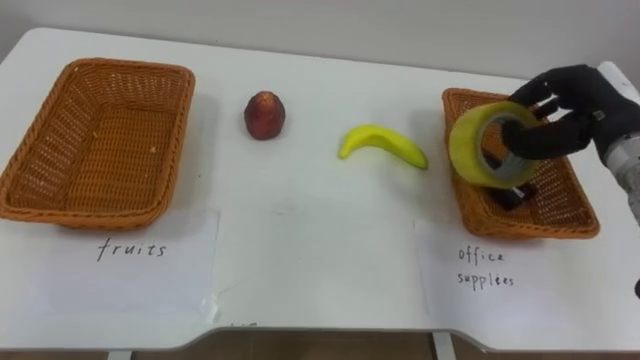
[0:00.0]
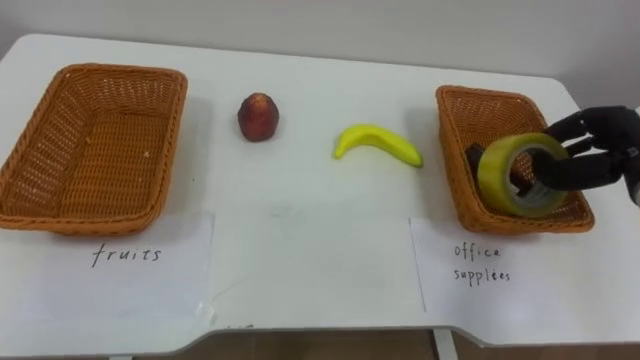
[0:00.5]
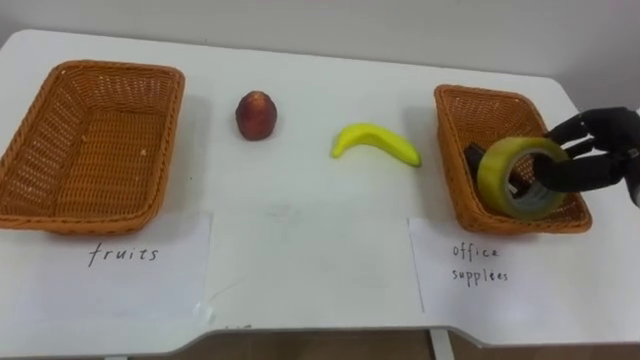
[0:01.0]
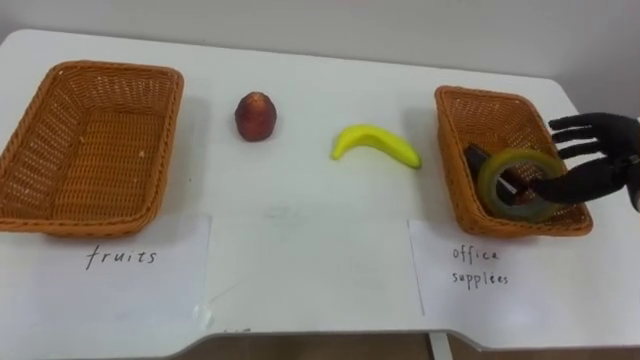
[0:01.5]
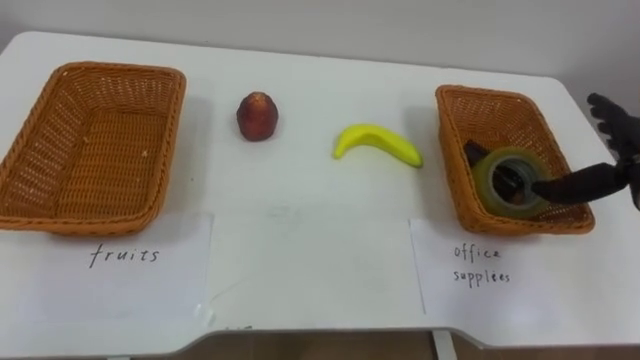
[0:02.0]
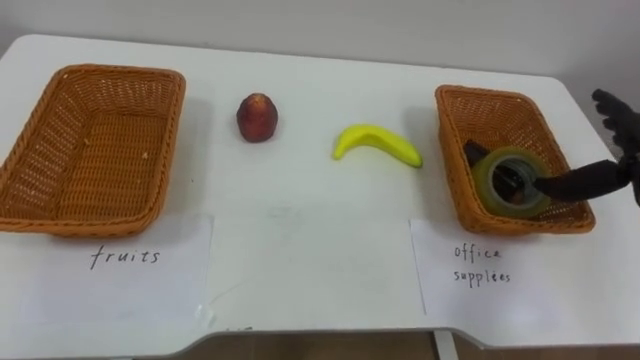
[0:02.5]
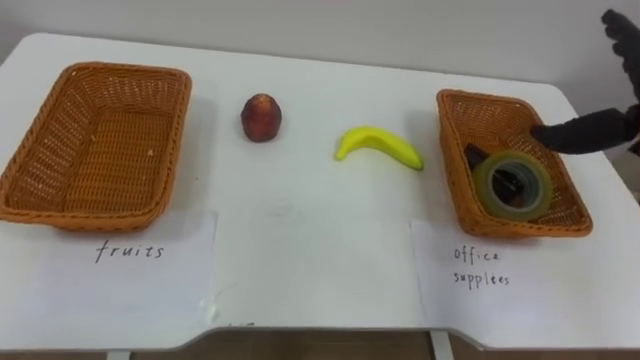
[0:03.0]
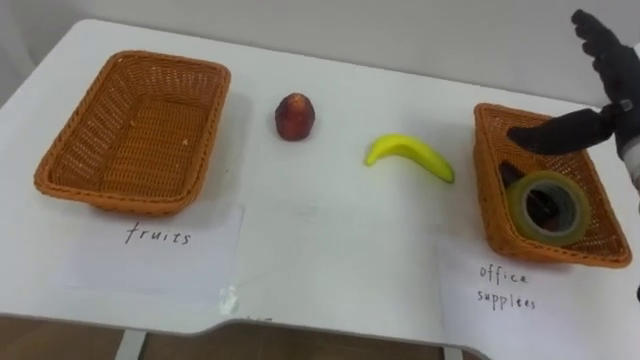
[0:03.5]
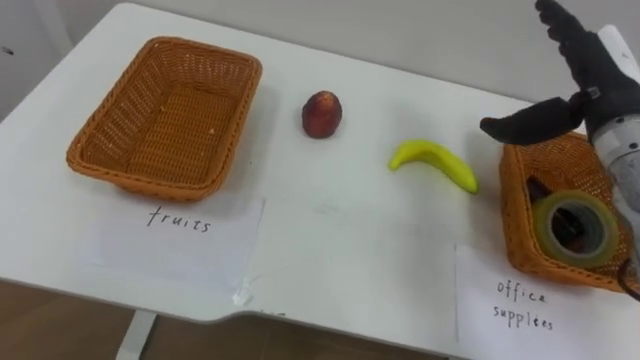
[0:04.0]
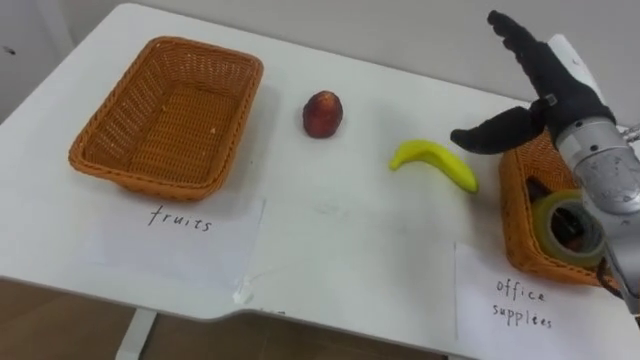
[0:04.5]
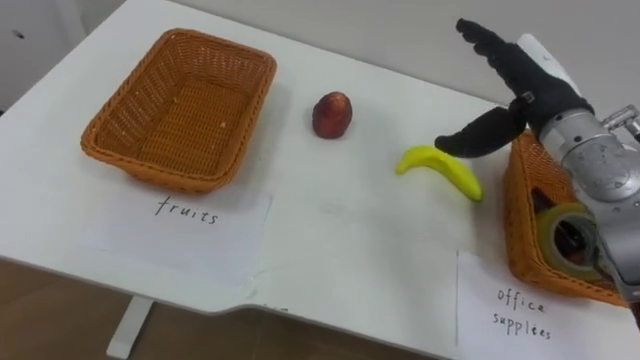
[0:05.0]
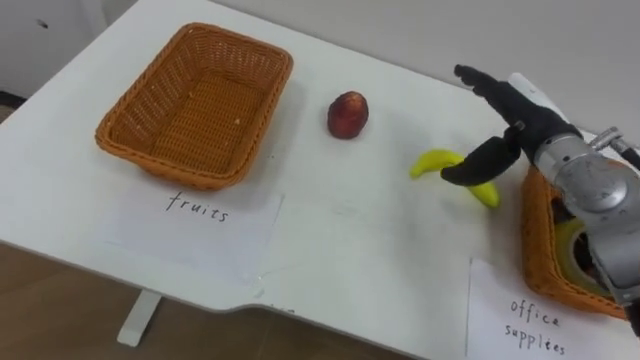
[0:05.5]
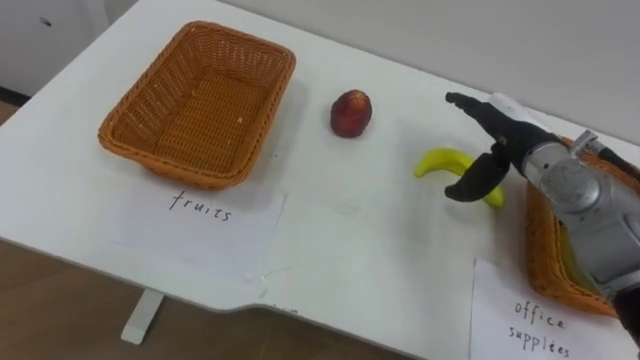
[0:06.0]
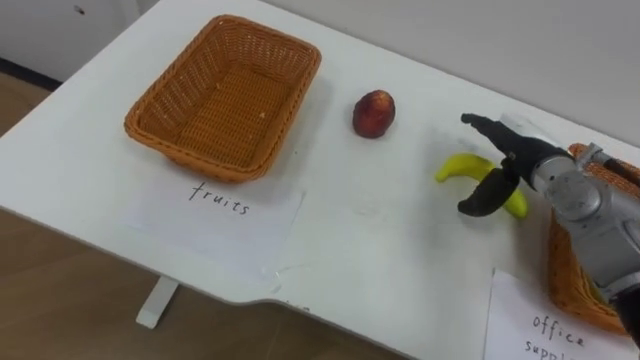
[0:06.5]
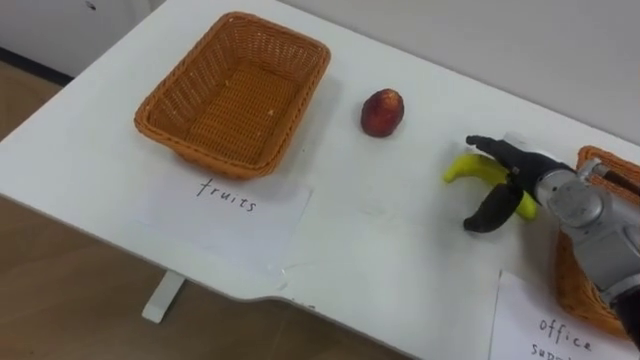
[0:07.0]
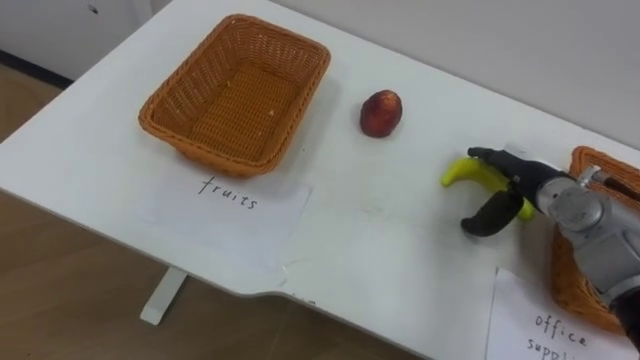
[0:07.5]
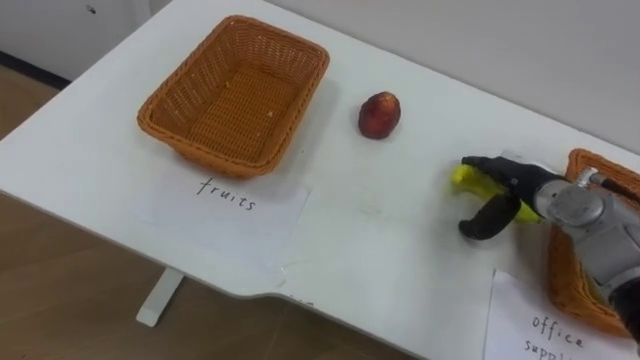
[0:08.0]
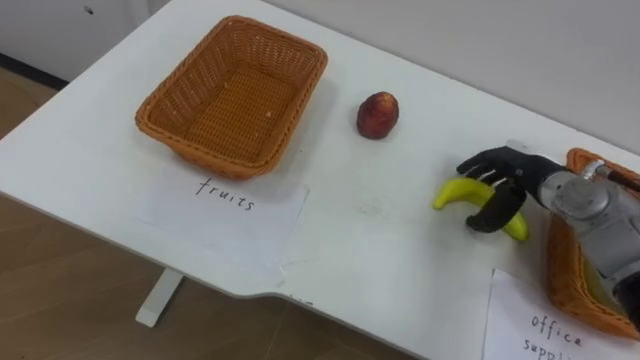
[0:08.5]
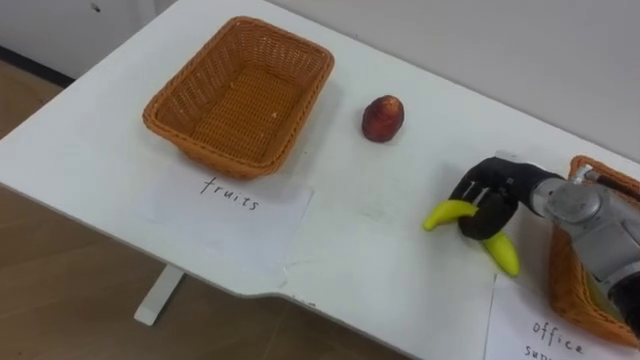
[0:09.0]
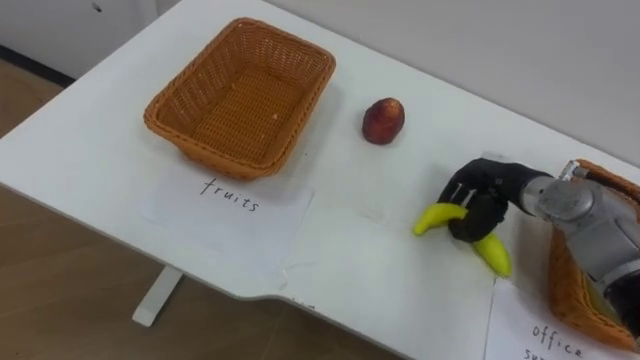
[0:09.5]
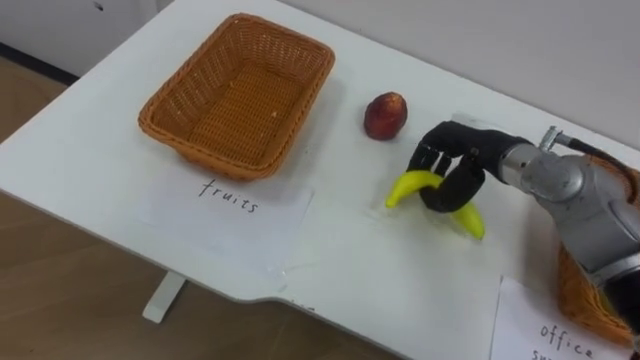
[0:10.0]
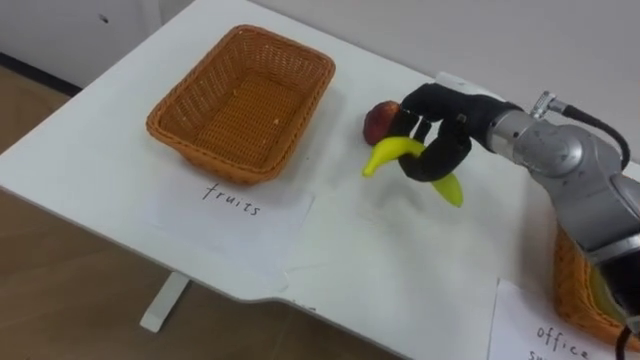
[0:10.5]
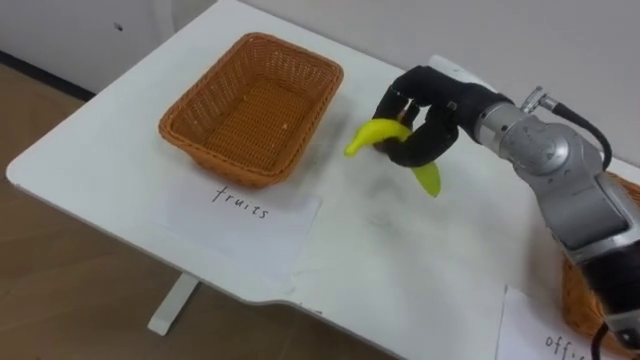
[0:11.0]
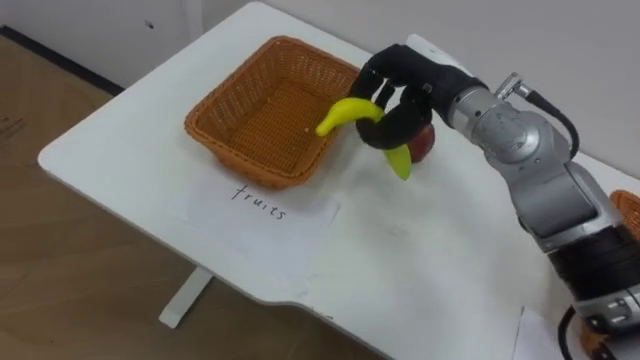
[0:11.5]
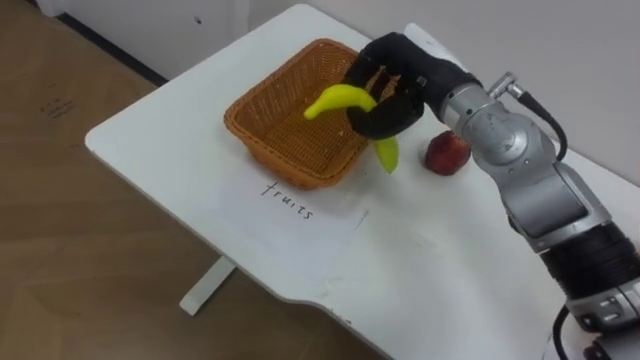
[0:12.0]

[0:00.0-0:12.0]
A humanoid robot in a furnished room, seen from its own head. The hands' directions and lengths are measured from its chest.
Task of the whole recording: Separate the items on the table and place them into the two baskets.
0:00.0 to 0:02.0: The right hand is displaced to the right by some 5 cm, and opens.
0:04.0 to 0:06.0: The right hand travels downward and to the left by about 10 cm.
0:06.0 to 0:08.0: The right hand travels downward by about 5 cm.
0:08.0 to 0:10.0: The right hand moves to the left and upward, roughly 10 cm, and closes up.
0:10.0 to 0:12.0: The right hand heads upward and to the left, covering approximately 10 cm.

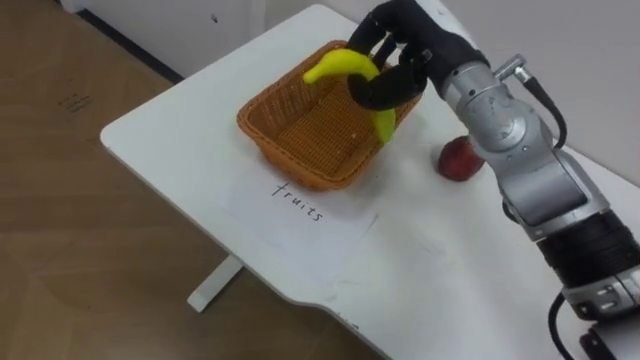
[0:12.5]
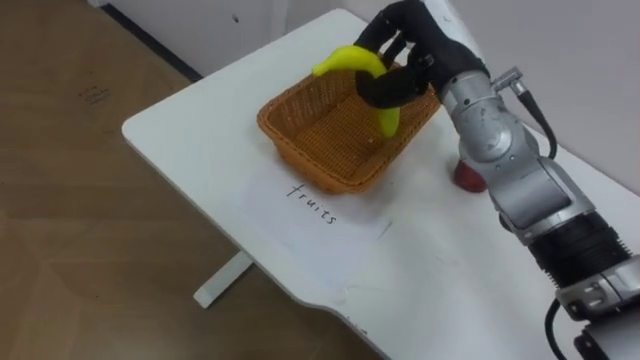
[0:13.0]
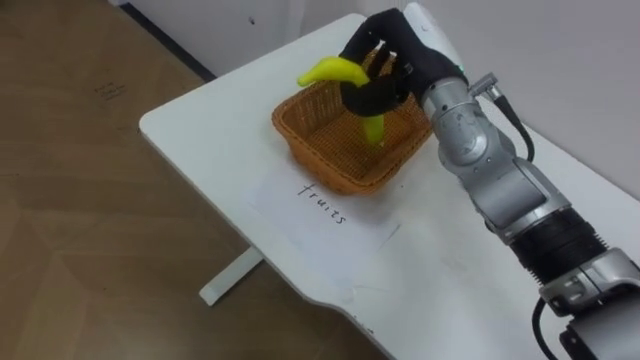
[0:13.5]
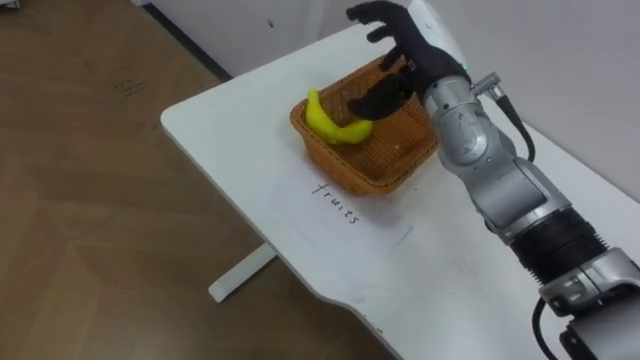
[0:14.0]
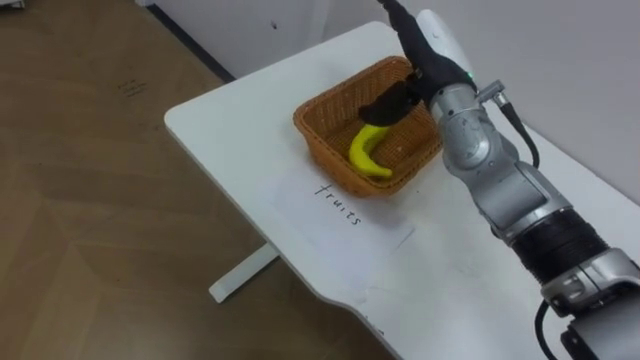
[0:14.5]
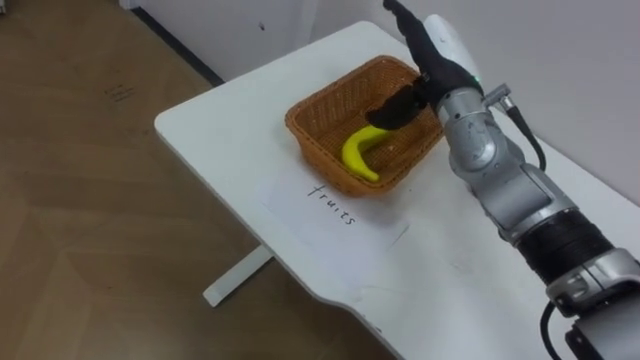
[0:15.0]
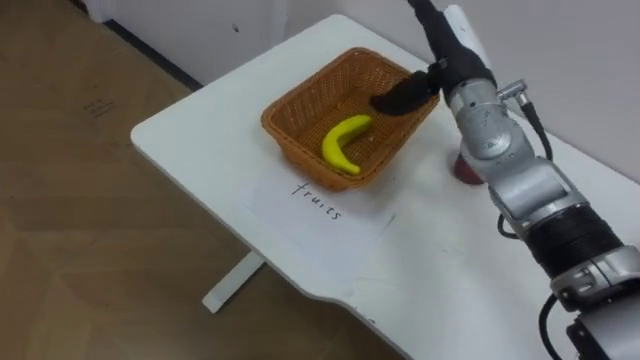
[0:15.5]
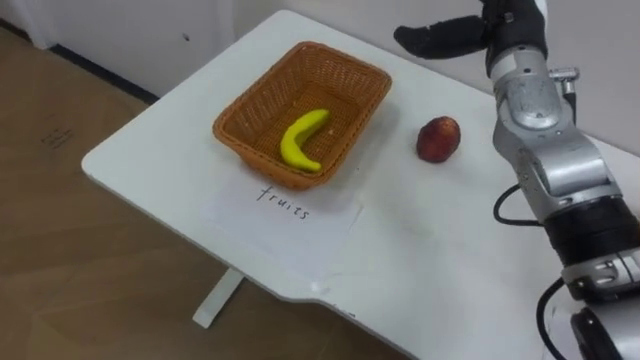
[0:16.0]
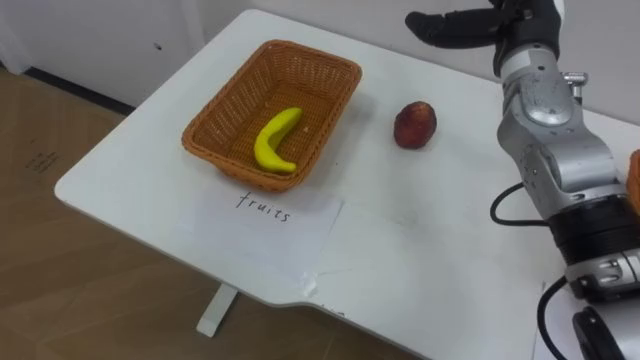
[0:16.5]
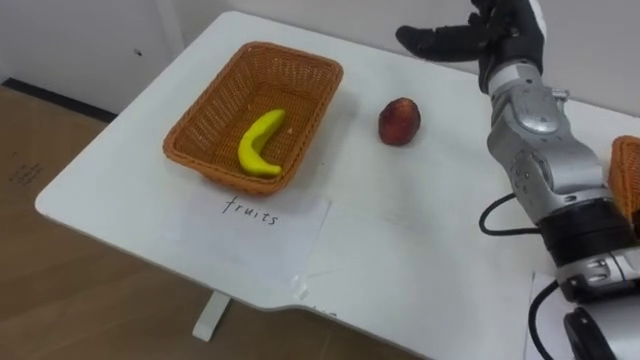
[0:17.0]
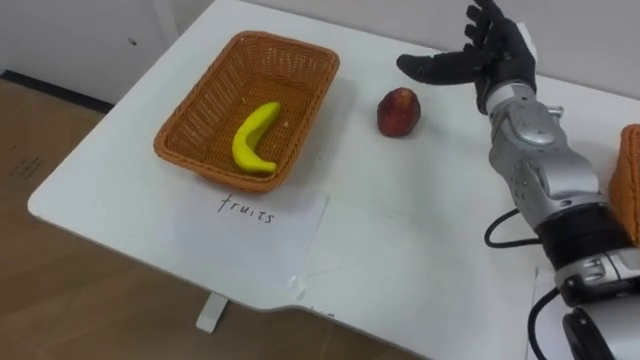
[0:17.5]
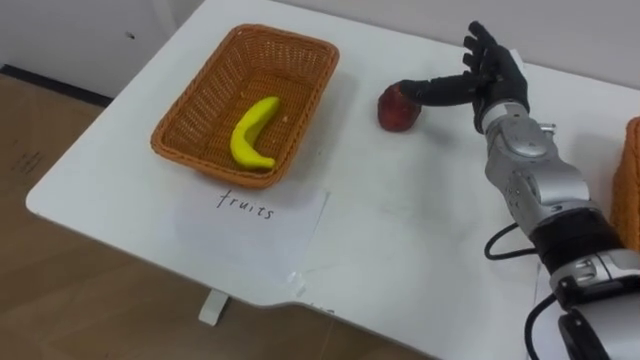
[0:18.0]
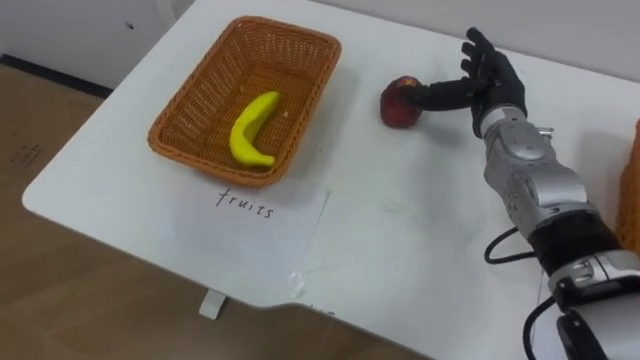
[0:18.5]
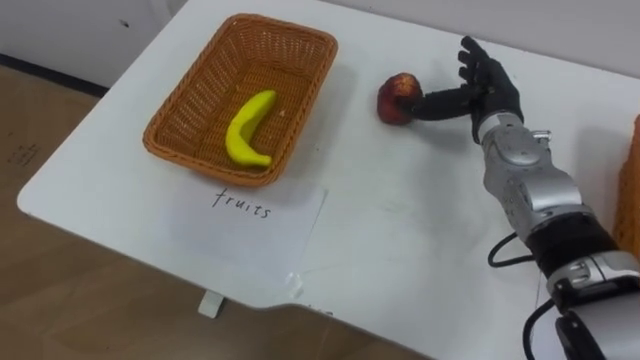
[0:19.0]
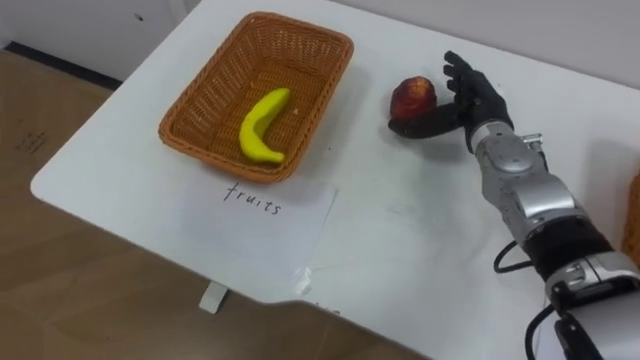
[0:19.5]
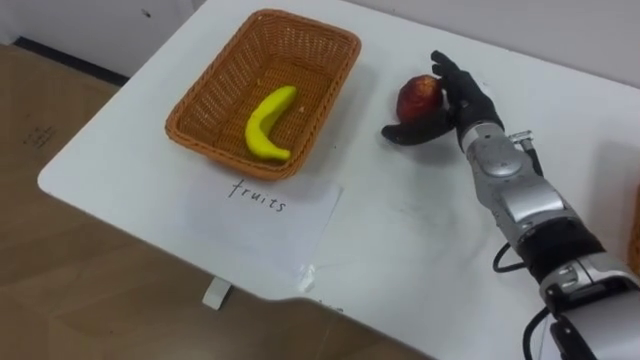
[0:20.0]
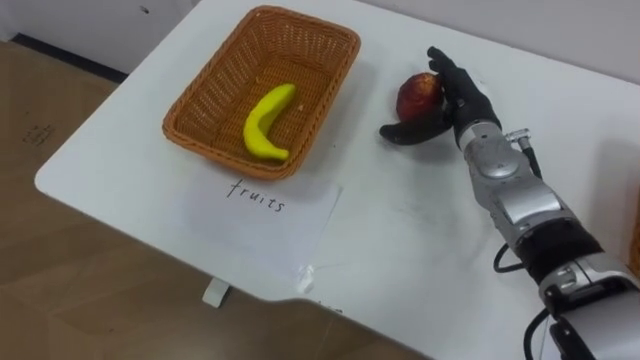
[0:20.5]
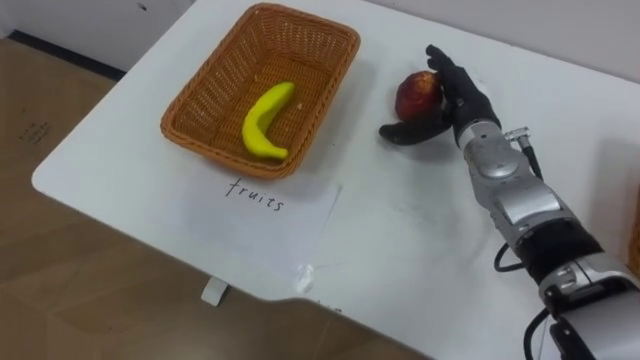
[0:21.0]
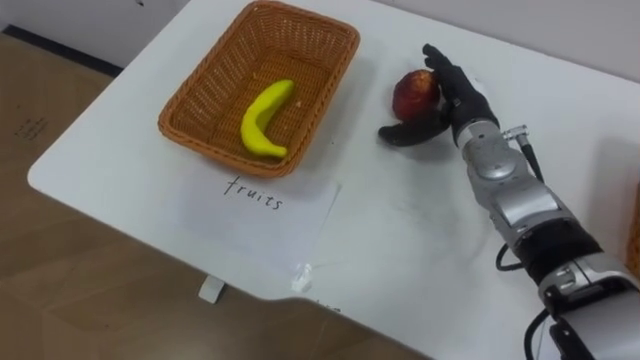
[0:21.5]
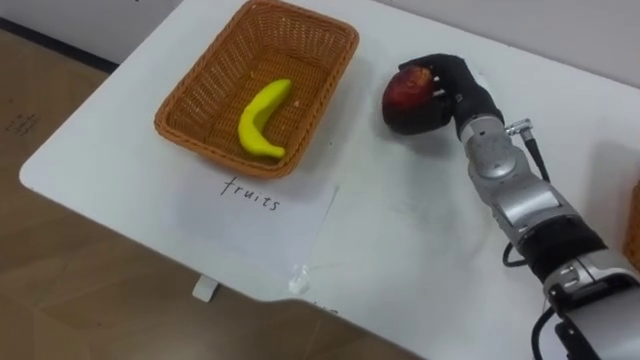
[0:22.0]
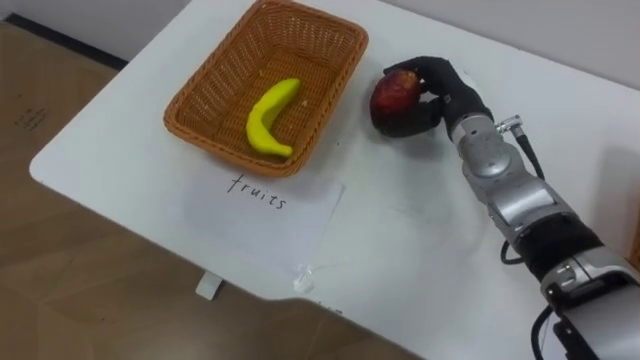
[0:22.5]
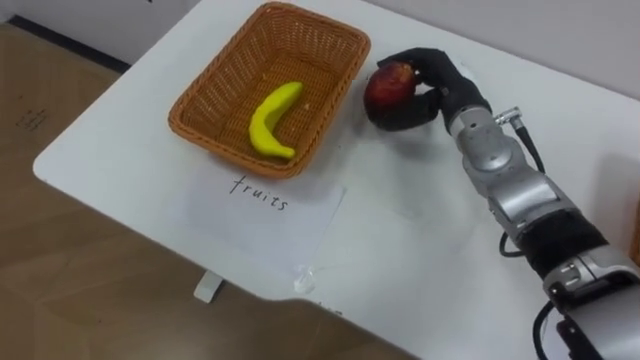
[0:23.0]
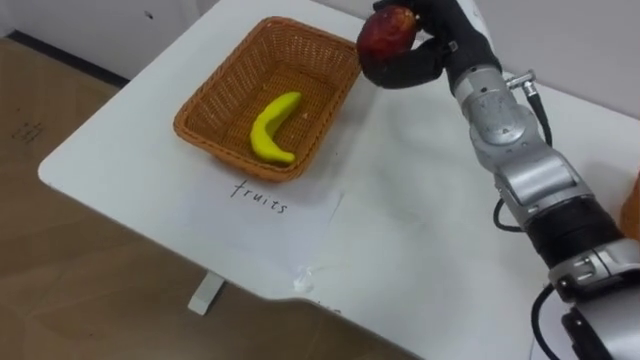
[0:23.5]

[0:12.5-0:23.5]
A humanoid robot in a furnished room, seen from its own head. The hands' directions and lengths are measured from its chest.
Task of the whole recording: Separate the items on the table and place them into the two baskets.
0:12.5 to 0:14.5: The right hand opens up.
0:14.5 to 0:16.0: The right hand travels to the right by some 5 cm.
0:16.0 to 0:18.0: The right hand goes about 10 cm downward.
0:21.5 to 0:23.5: The right hand heads upward, covering approximately 10 cm, and closes up.
